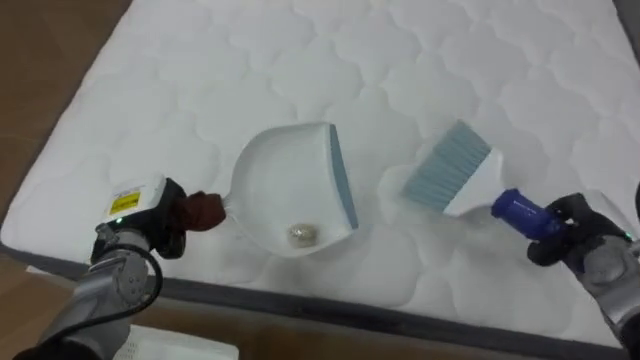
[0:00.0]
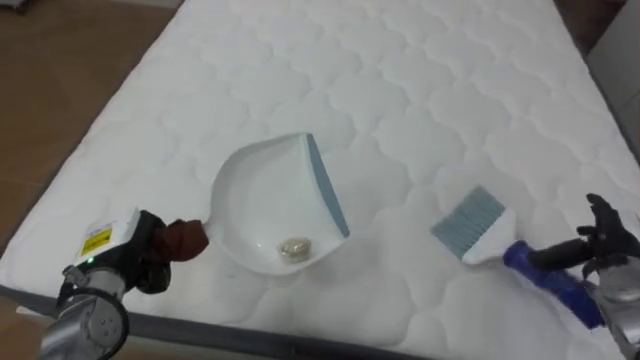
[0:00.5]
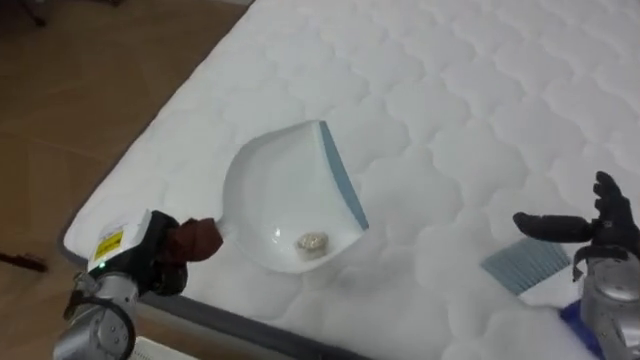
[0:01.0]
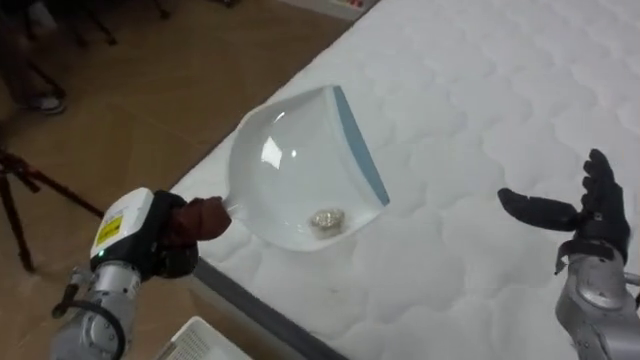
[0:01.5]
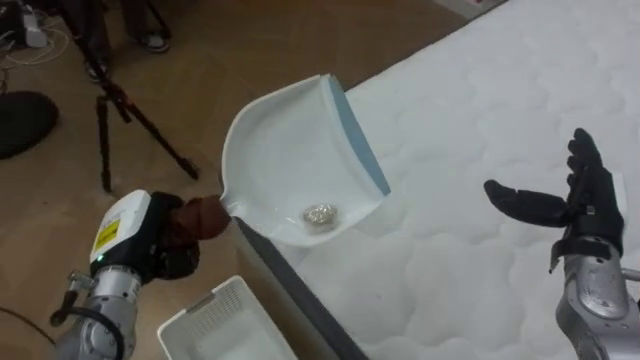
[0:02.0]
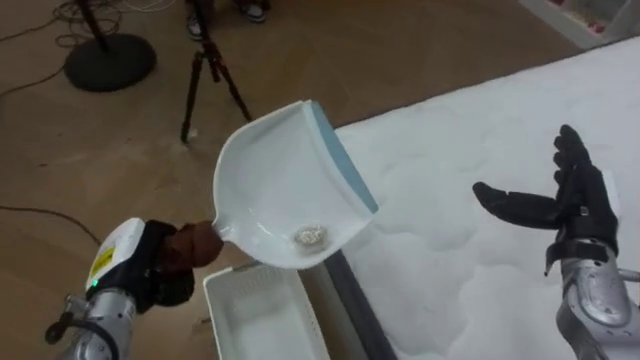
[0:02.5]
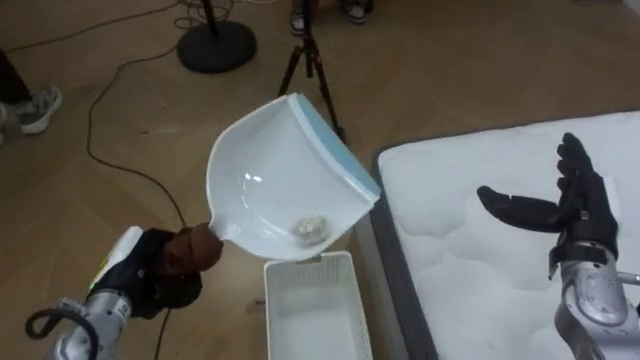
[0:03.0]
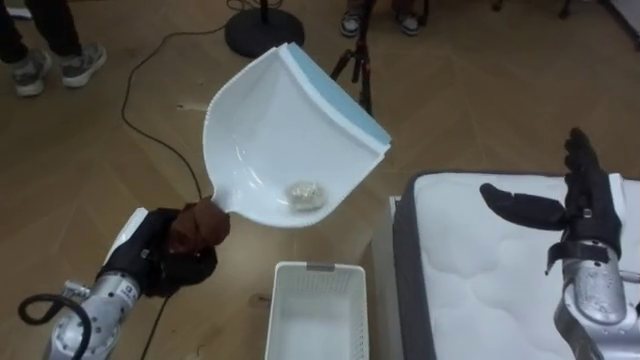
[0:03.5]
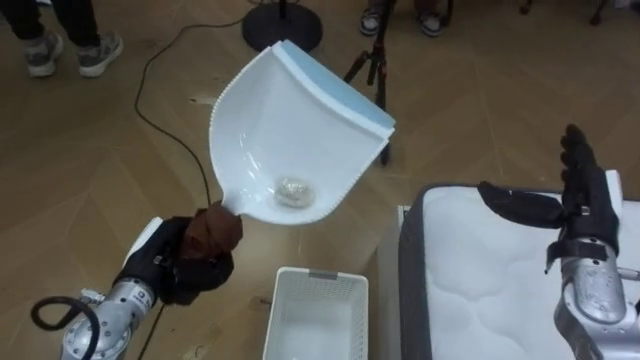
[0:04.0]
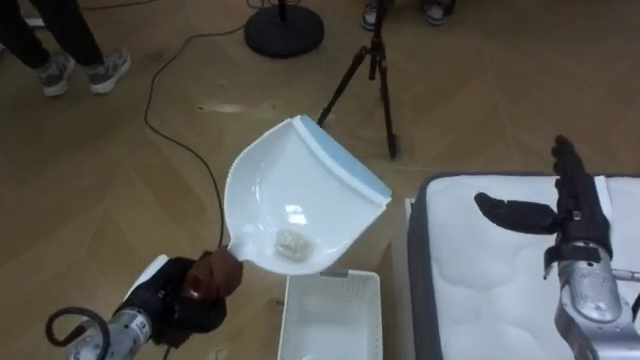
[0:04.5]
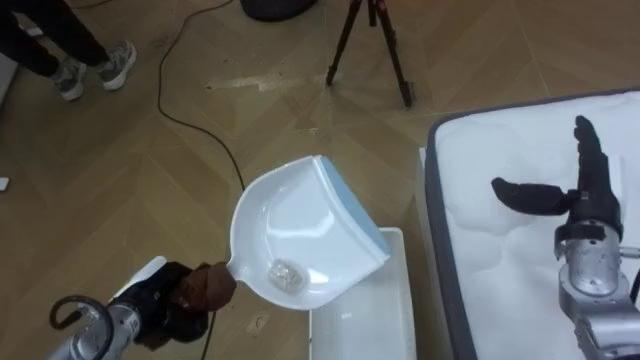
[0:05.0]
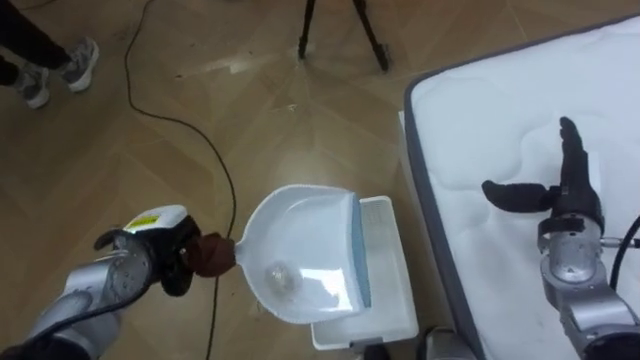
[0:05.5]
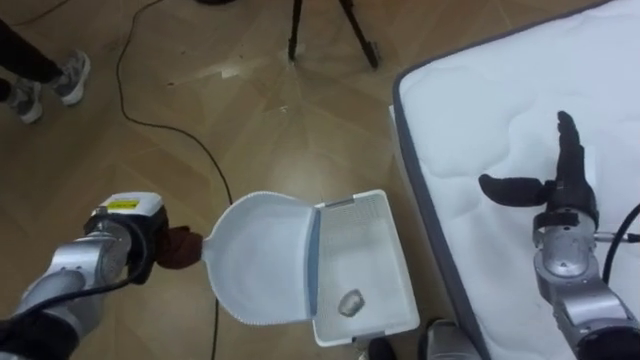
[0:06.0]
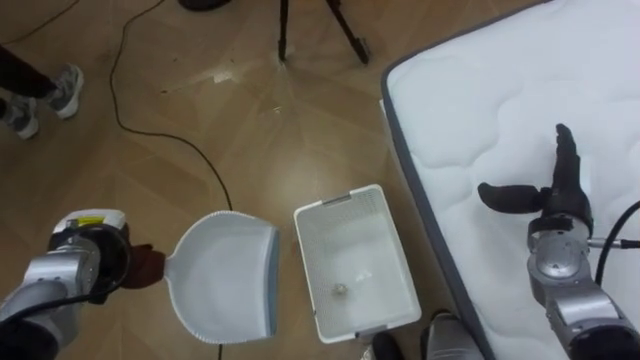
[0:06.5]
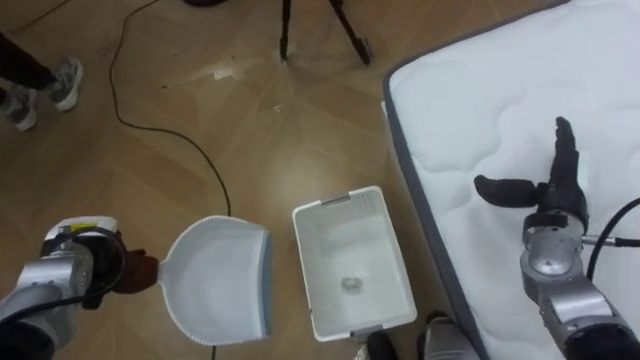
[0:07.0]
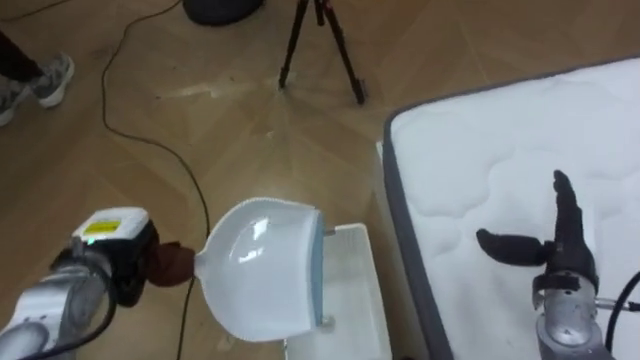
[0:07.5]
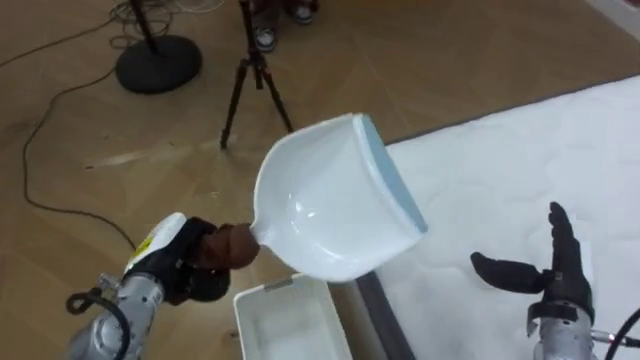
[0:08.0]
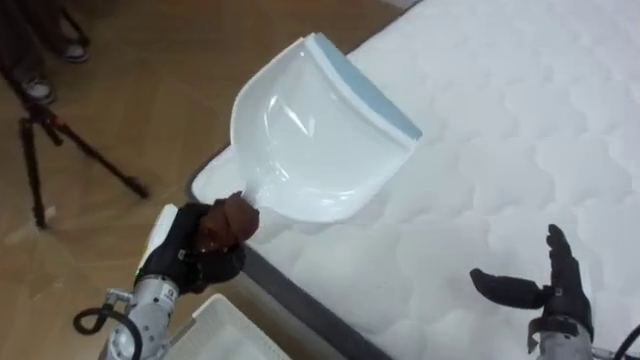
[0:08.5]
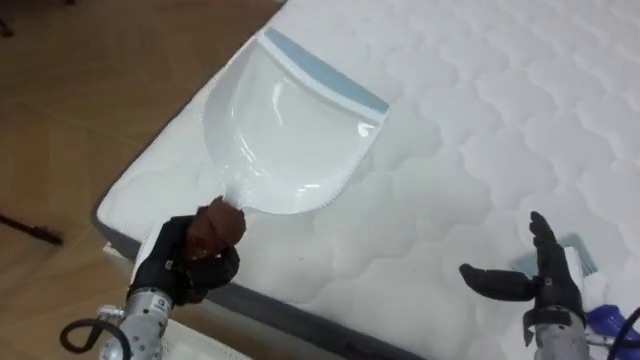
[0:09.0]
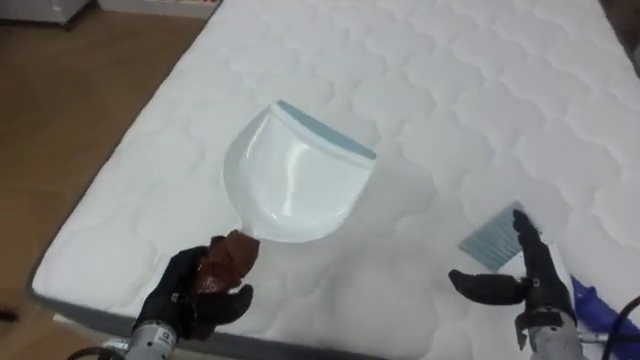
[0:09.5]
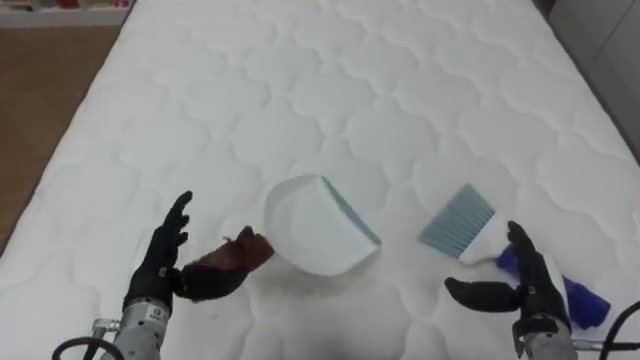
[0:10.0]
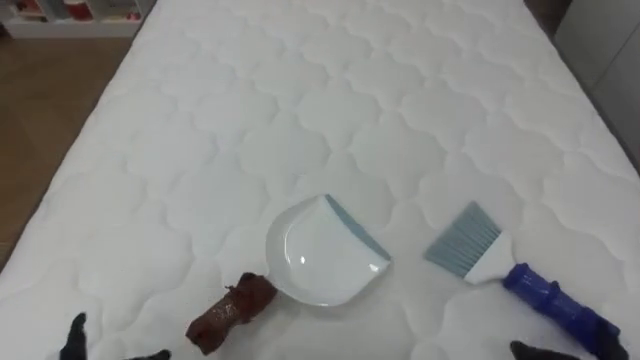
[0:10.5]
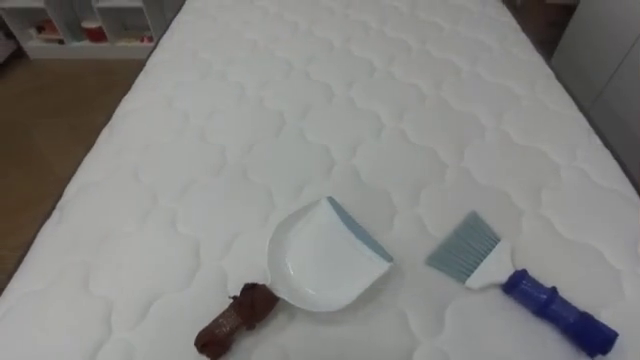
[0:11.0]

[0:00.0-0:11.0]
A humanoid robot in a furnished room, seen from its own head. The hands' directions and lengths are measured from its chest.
Task of the whole recording: Pick up the brush on your right and the dustpan on your left. Use the brush to sweep the crumpled paper on the bed into the dustpan, then turn left and empty it into the basket.
0:00.0 to 0:02.0: The robot rotates approximately 45 degrees to its left. The left hand moves backward, roughly 5 cm; the right hand shifts approximately 5 cm upward, and opens.
0:02.0 to 0:03.5: The robot faces approximately 40 degrees further to its left.
0:05.5 to 0:07.5: The right hand shifts approximately 5 cm backward.
0:07.5 to 0:09.0: The robot's body swings roughly 60 degrees to its right. The right hand changes place by about 5 cm. Meanwhile the left hand shifts roughly 5 cm to the right.
0:09.0 to 0:11.0: The robot rotates about 25 degrees to its right.

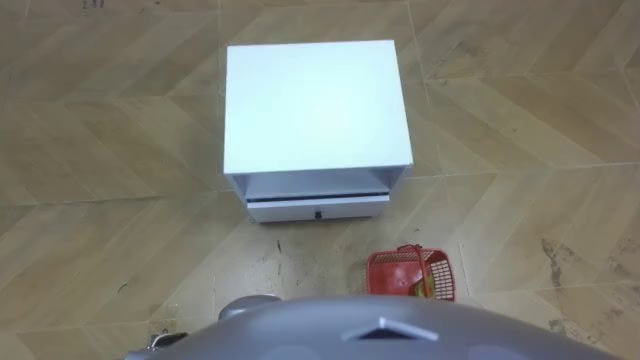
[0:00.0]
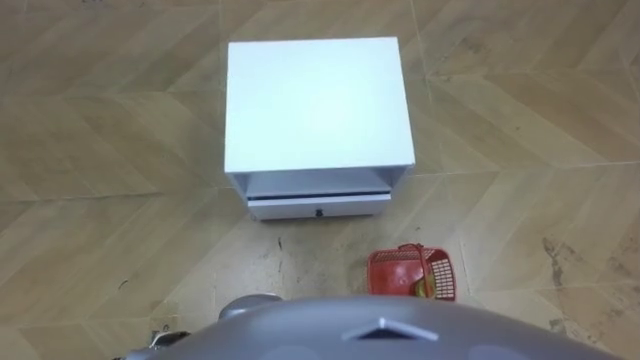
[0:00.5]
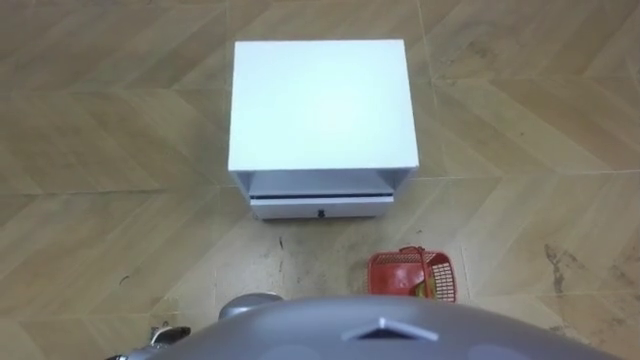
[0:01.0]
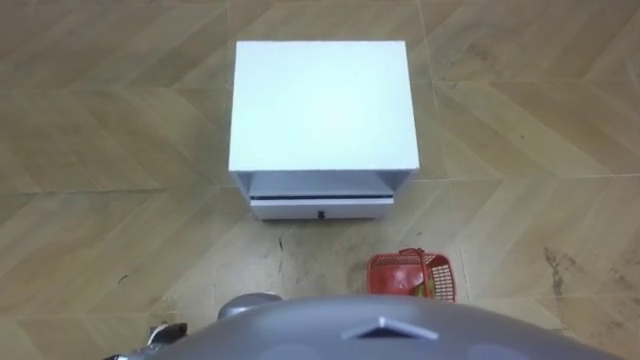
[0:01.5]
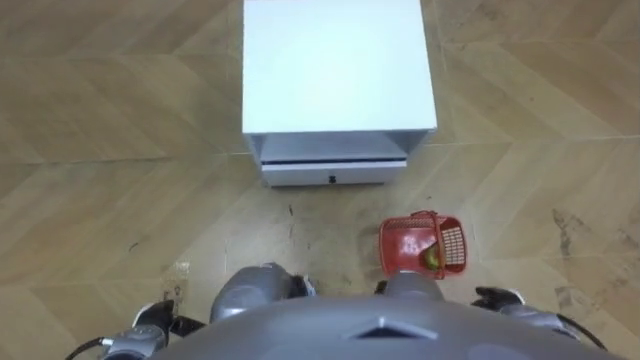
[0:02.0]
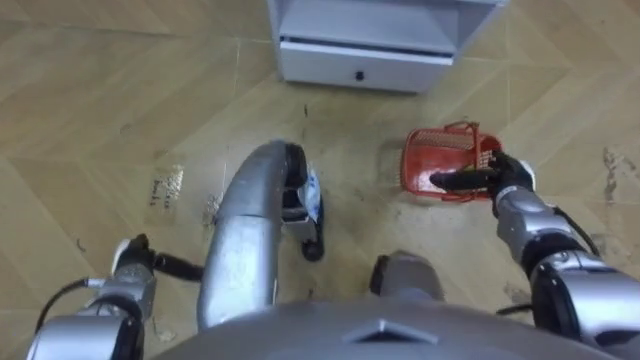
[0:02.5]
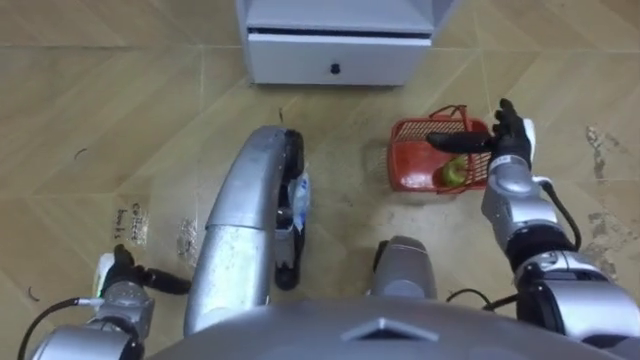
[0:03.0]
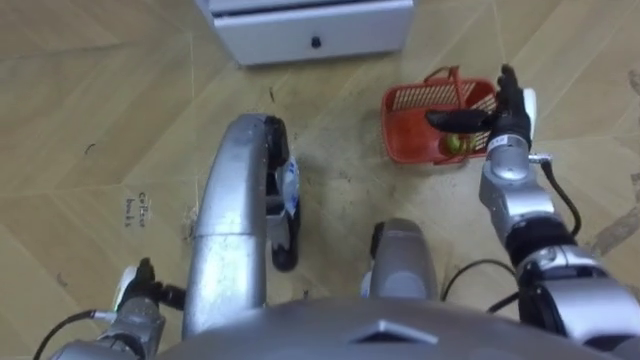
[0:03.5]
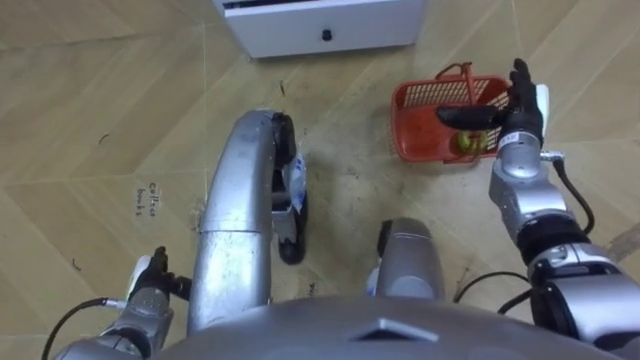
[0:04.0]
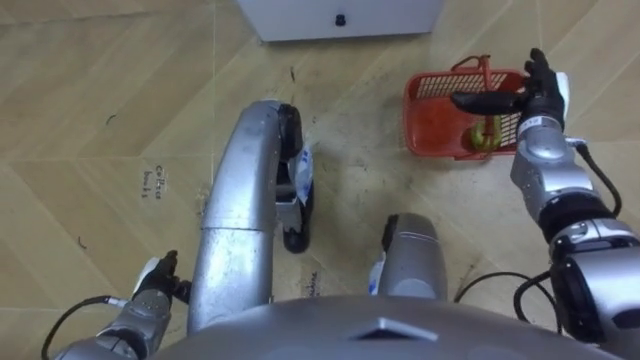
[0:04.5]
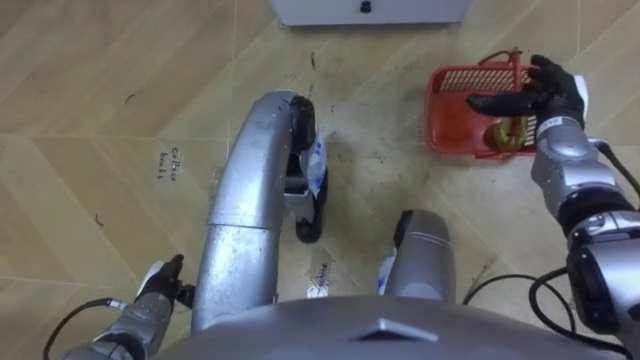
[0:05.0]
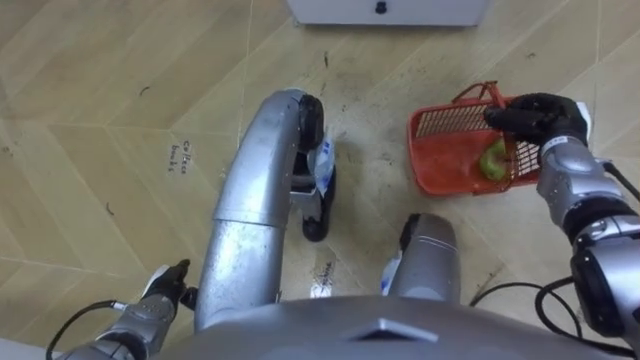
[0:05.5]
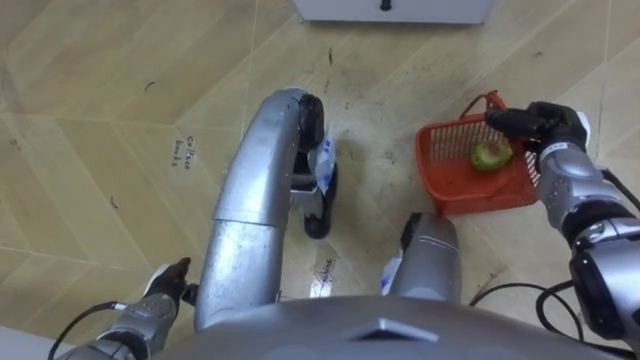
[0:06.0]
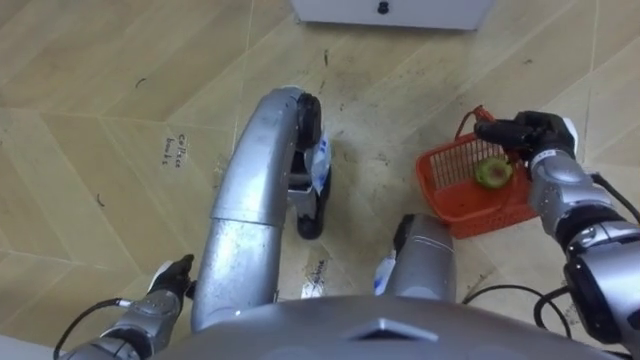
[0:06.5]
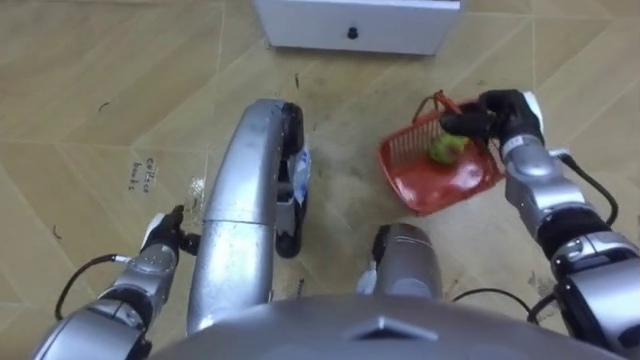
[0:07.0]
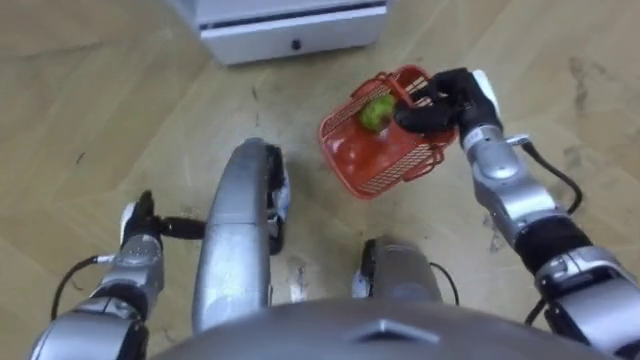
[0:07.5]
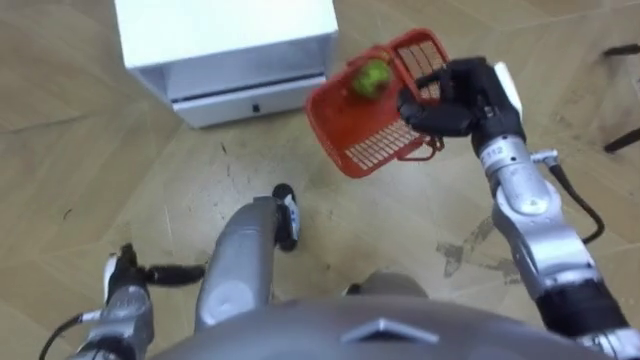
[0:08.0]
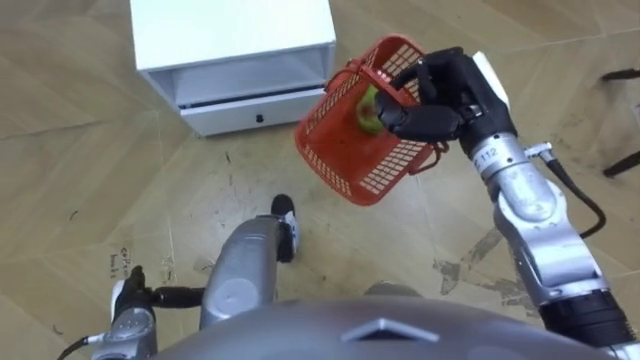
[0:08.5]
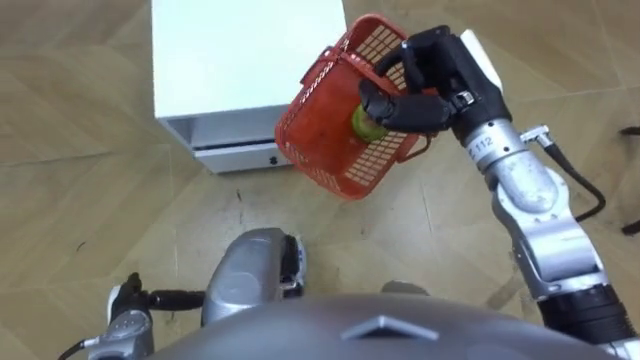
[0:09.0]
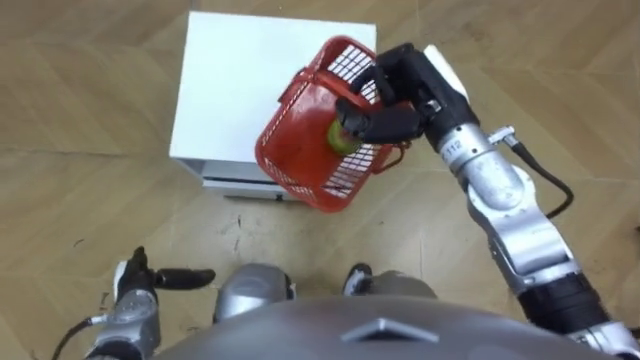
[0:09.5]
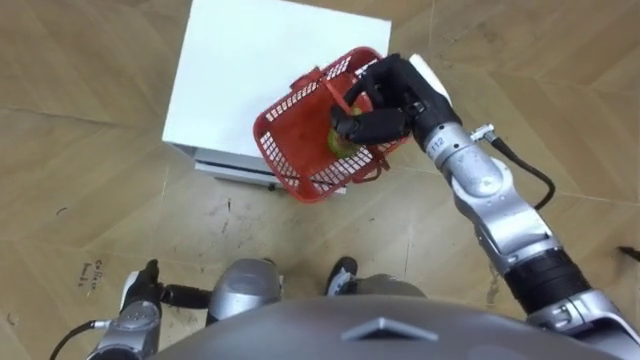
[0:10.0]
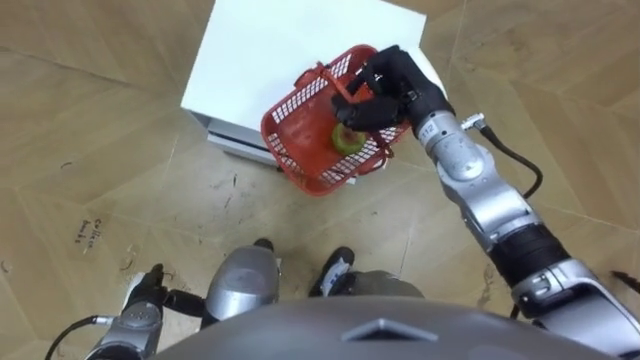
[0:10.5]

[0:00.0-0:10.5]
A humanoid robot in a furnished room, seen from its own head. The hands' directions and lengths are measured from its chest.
Task of the whole recording: Pick up the fruit basket from the floor and place it on the cabinet.
0:02.0 to 0:04.0: The left hand heads forward, covering roughly 5 cm. Meanwhile the right hand goes roughly 30 cm forward and upward.
0:04.0 to 0:06.5: The right hand ends up about 5 cm from where it was, and closes its fingers.
0:06.5 to 0:08.5: The robot's body swings about 20 degrees to its right. The left hand travels forward and back again, some 10 cm each way. The right hand travels to the left and upward by about 20 cm.
0:08.5 to 0:10.5: The robot rotates some 15 degrees to its left. The right hand heads to the left, covering some 5 cm.
